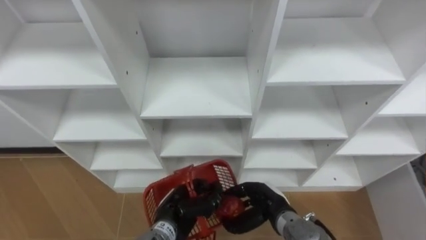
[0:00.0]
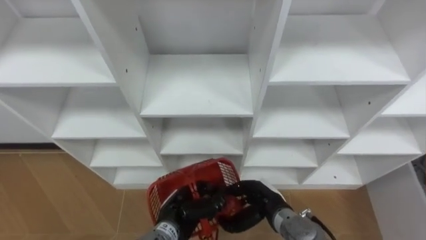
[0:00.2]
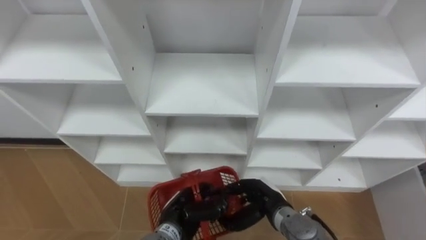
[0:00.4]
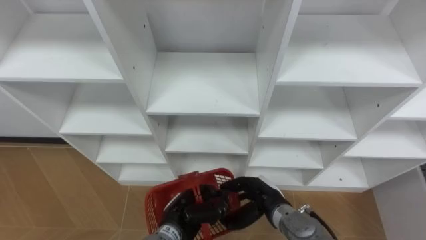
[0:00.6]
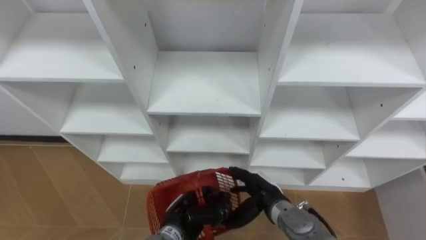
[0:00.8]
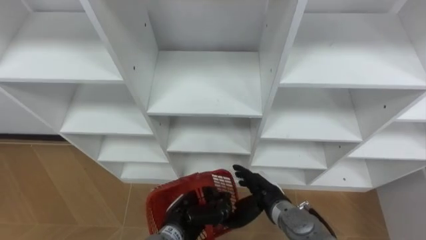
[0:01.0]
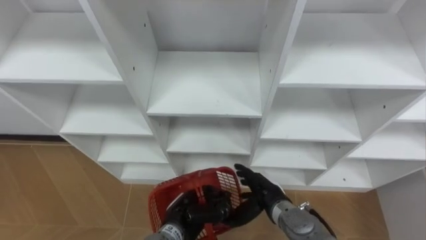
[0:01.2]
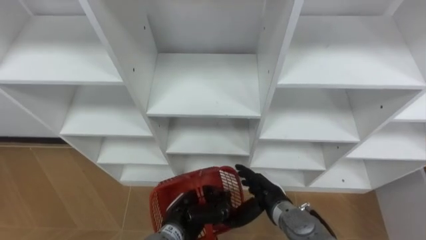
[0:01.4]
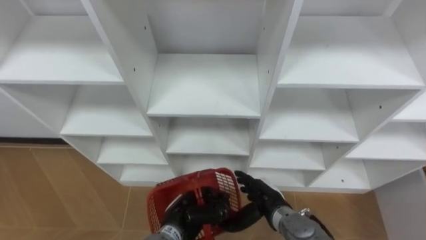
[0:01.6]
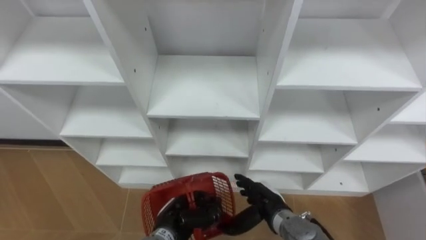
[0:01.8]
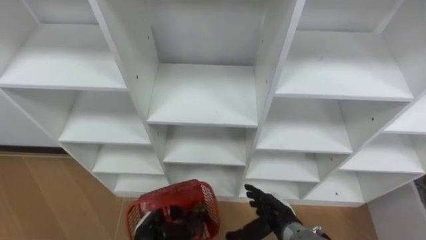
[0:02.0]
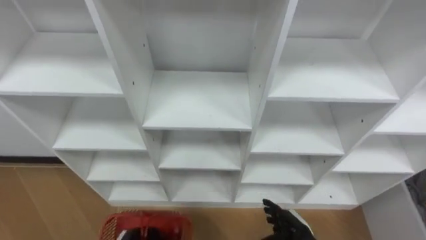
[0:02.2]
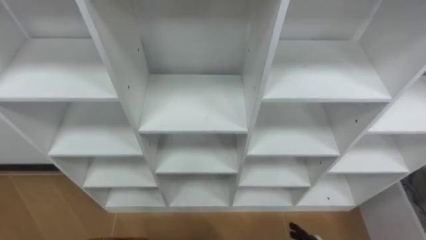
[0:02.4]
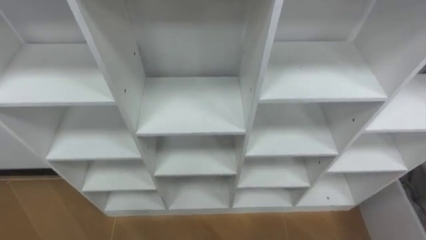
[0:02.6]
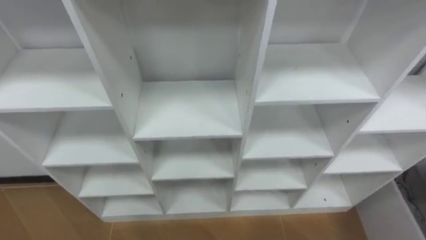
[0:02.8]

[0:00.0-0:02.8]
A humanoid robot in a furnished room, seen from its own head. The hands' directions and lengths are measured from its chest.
Task of the whole recording: Hold the basket and collect the fruits from 3 different cells of the closet into it.
0:00.0 to 0:01.4: The right hand opens.

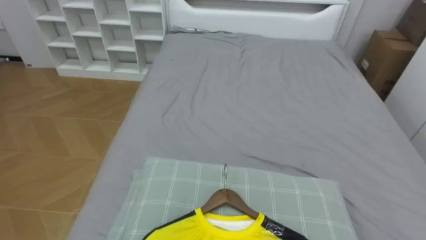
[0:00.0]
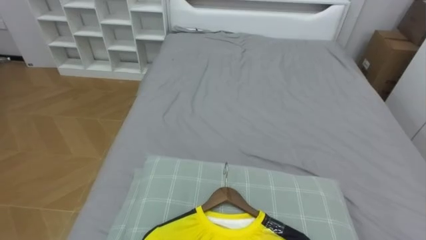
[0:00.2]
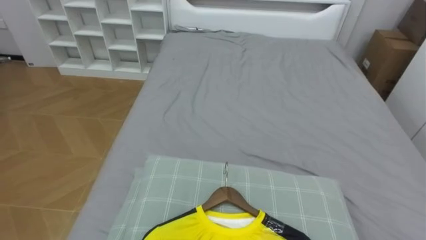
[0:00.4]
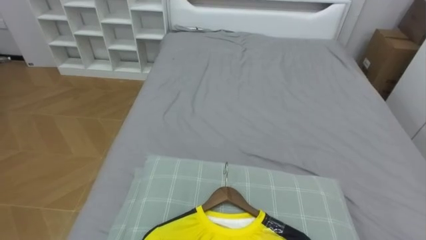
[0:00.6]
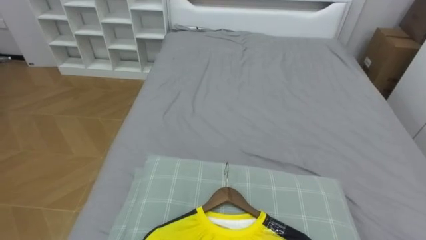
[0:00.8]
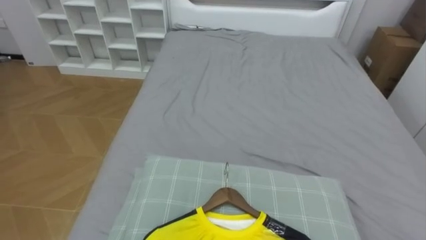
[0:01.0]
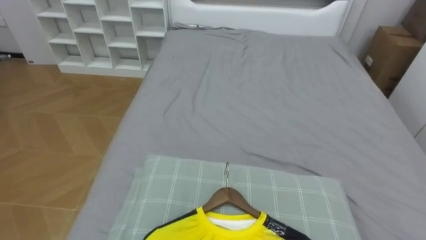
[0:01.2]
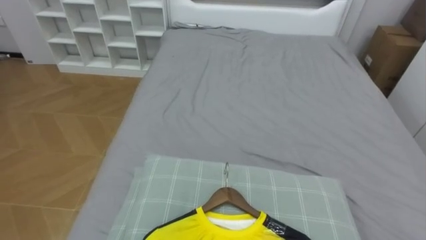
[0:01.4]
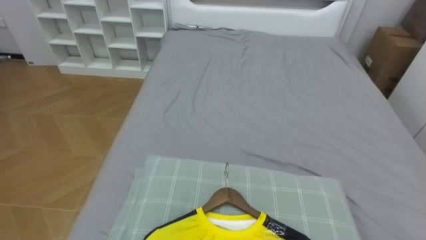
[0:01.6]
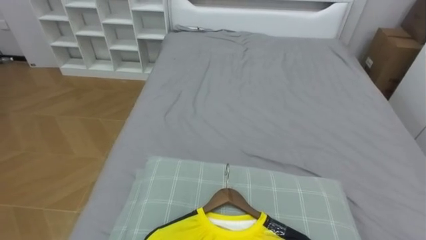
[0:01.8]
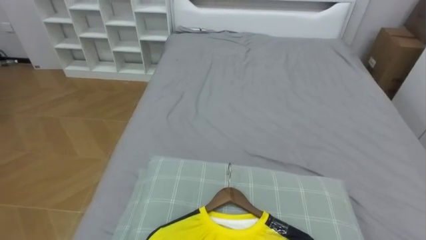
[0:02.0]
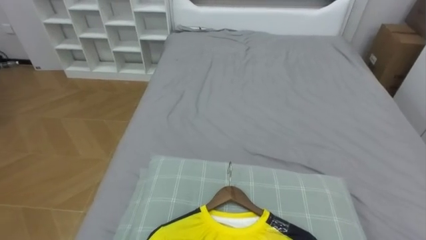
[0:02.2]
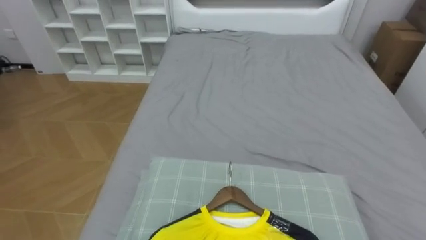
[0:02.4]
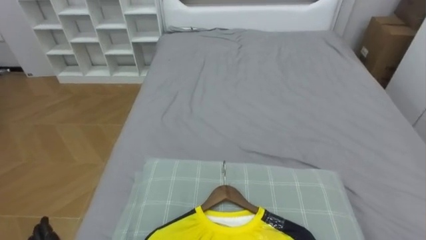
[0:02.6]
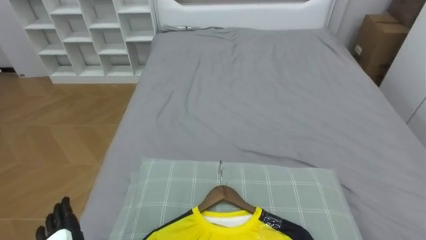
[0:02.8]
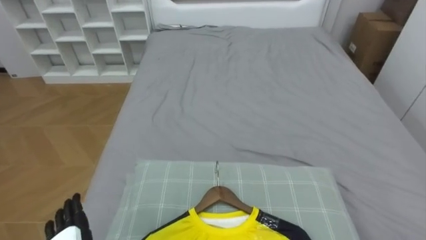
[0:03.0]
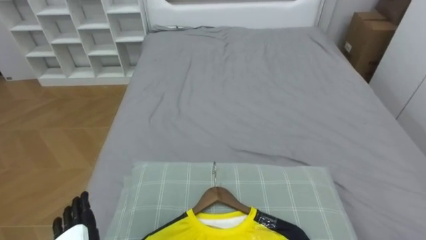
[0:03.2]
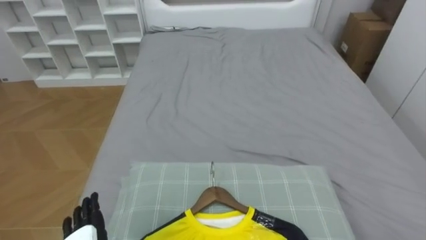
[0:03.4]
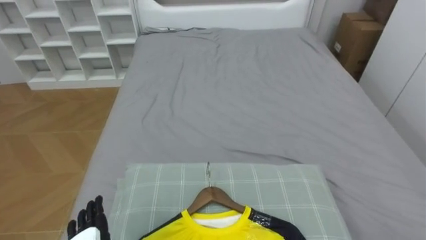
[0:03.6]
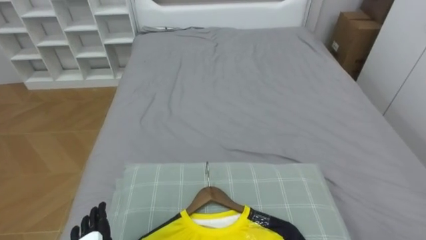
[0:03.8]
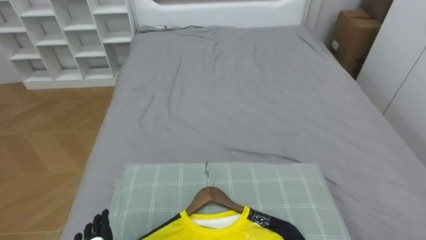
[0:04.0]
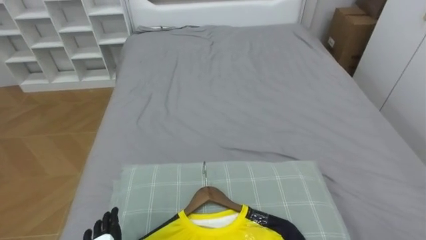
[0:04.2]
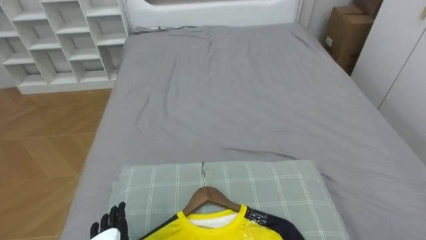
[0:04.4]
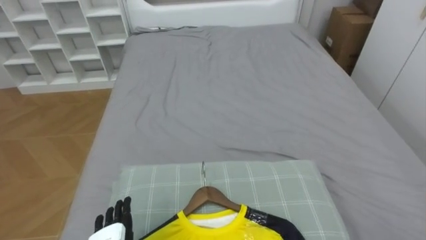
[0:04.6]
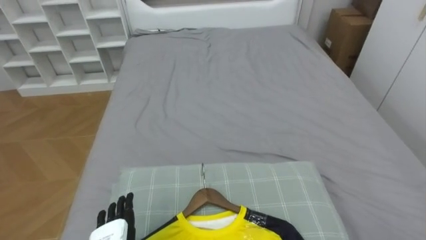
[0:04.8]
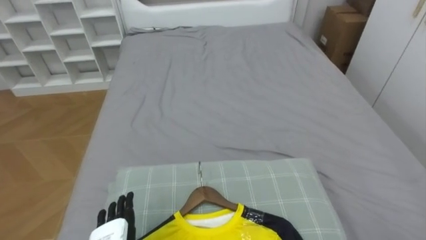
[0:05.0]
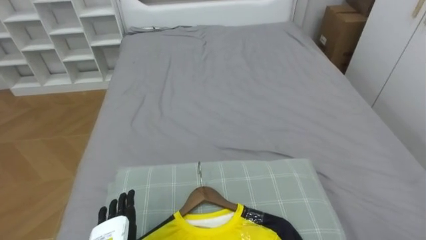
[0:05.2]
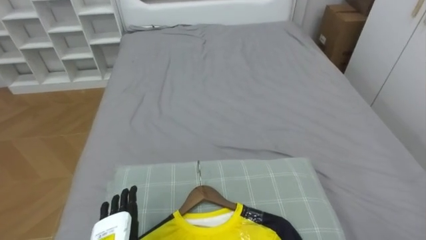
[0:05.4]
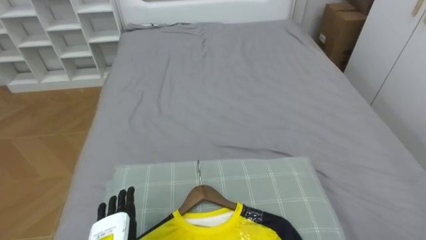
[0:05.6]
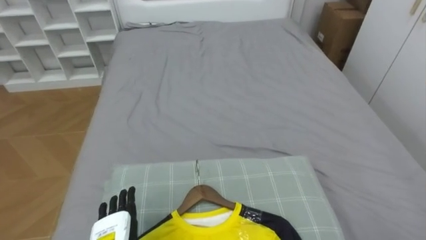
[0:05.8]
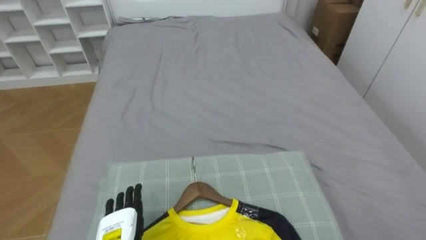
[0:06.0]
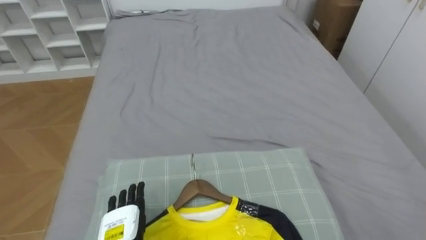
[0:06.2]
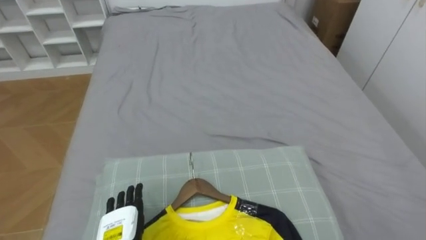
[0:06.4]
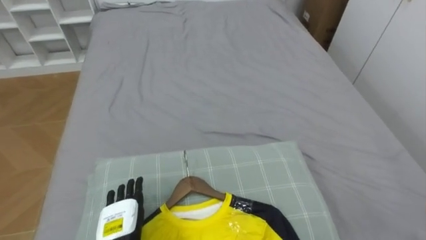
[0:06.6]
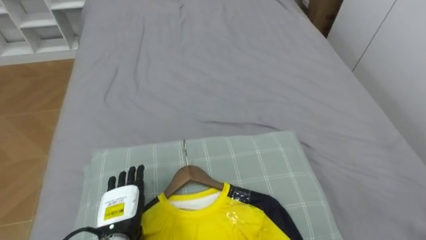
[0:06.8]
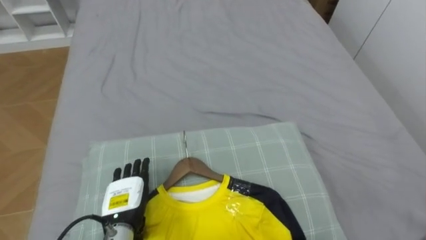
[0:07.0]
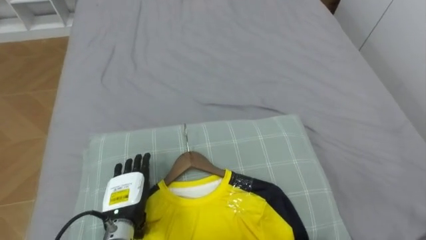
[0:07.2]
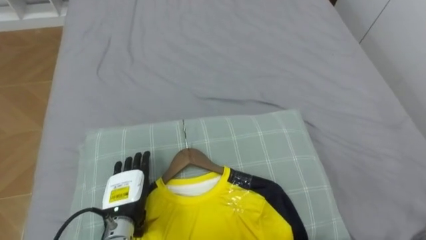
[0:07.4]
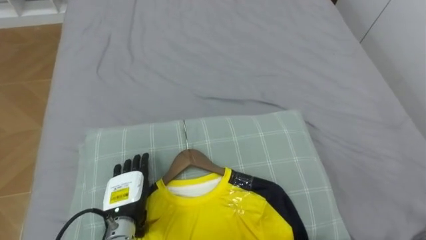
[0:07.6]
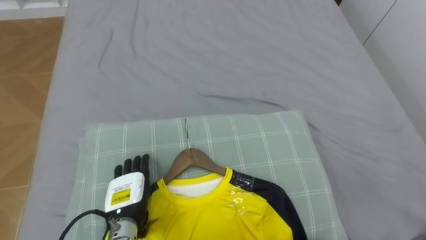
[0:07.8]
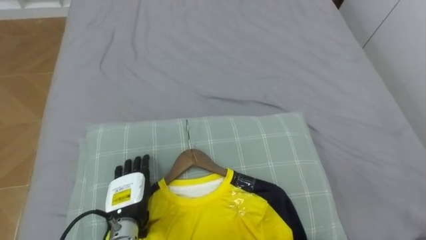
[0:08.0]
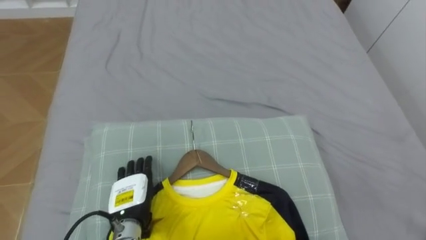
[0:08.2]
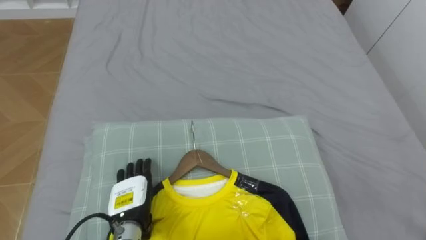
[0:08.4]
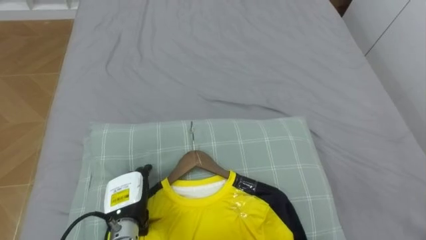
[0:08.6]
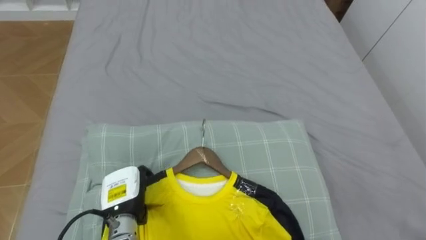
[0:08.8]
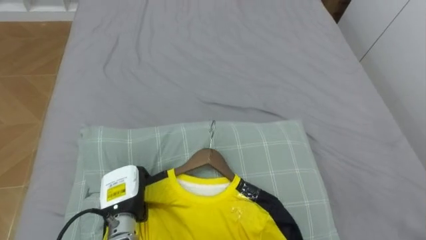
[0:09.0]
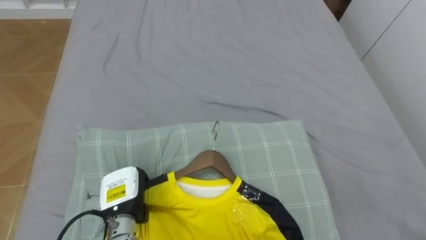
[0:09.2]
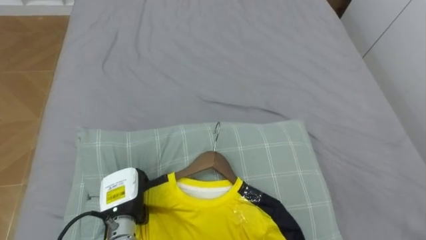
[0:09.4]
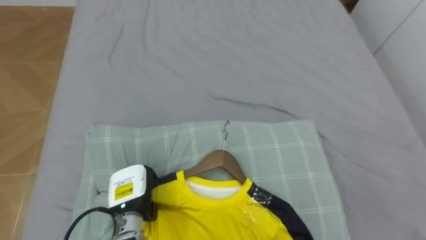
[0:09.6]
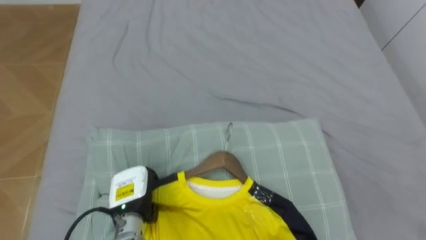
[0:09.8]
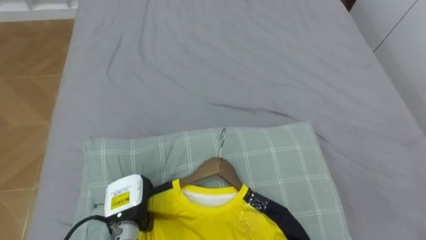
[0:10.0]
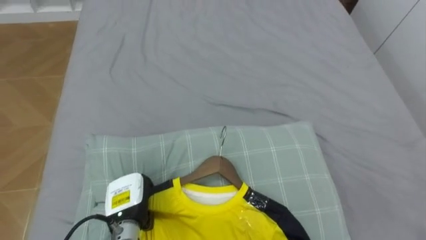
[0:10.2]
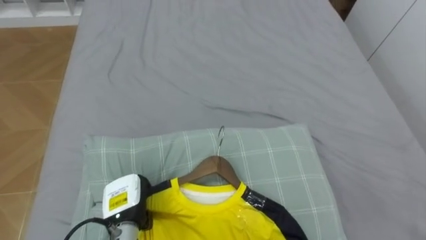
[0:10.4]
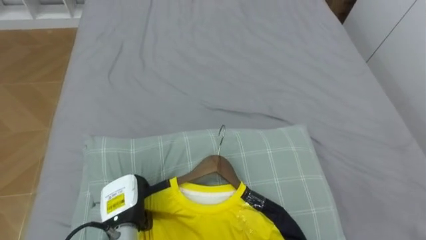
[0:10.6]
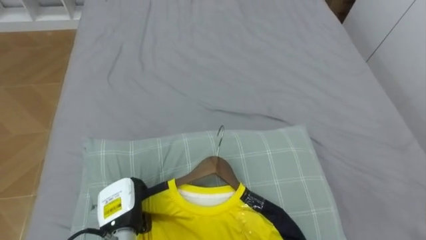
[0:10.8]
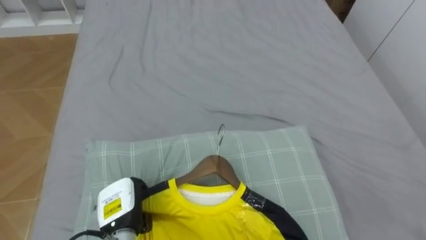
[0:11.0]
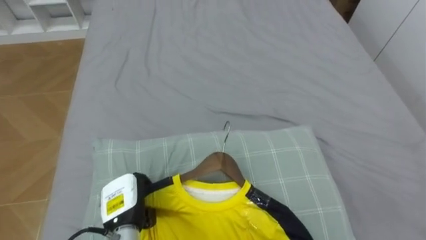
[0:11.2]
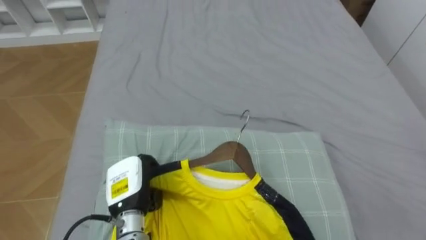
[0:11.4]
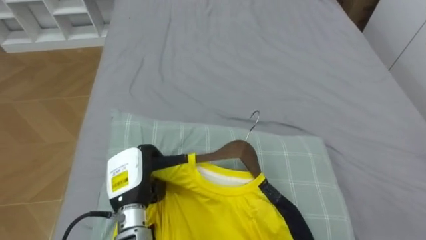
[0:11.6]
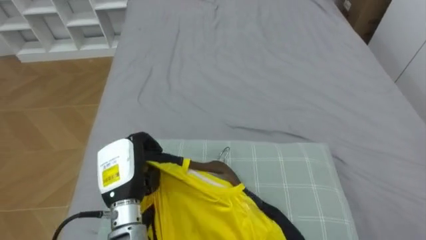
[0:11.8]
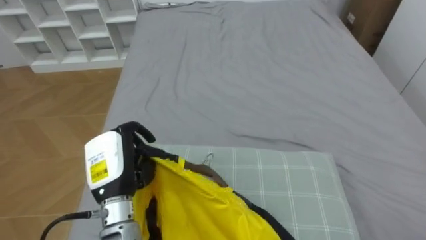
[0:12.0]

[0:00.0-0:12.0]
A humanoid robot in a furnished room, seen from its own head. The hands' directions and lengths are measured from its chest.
Task of the whole recording: Pick up the yellow shirt on the bed and hang it on the clothes rack on the right.
0:07.6 to 0:09.0: The left hand closes.
0:10.4 to 0:12.0: The left hand heads upward, covering approximately 10 cm.

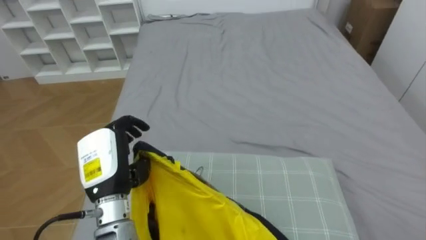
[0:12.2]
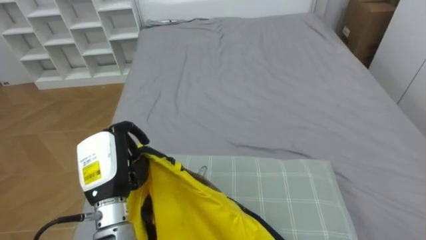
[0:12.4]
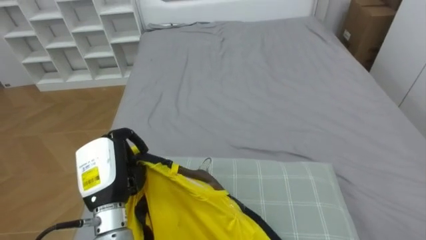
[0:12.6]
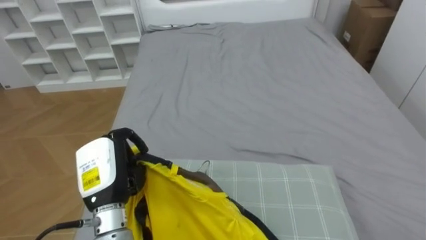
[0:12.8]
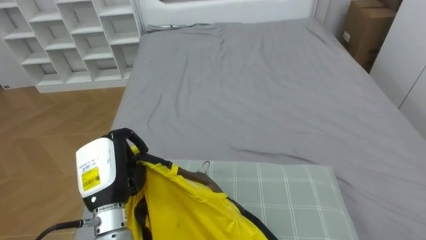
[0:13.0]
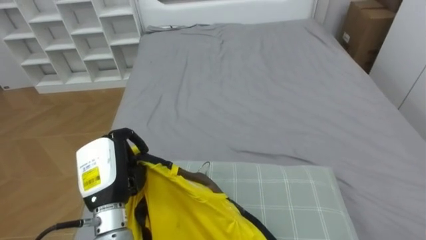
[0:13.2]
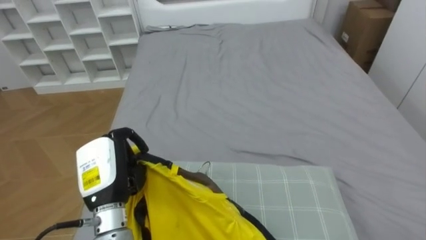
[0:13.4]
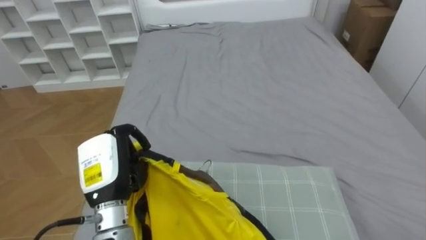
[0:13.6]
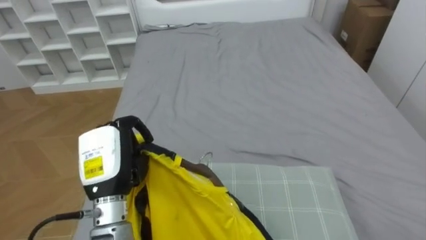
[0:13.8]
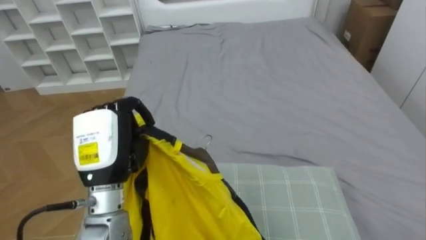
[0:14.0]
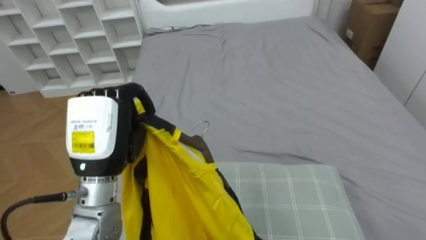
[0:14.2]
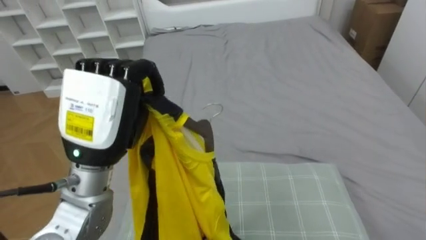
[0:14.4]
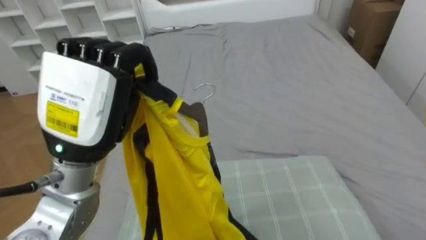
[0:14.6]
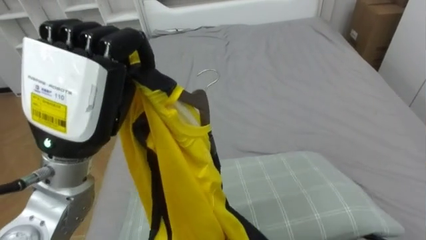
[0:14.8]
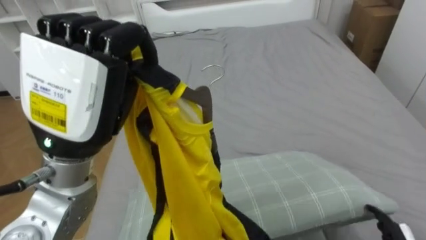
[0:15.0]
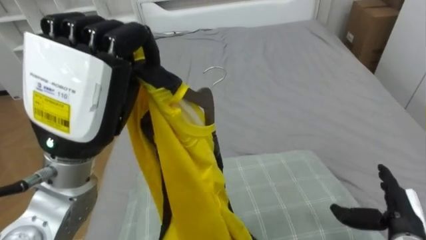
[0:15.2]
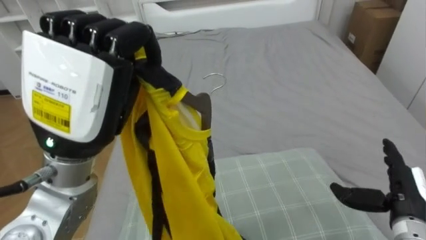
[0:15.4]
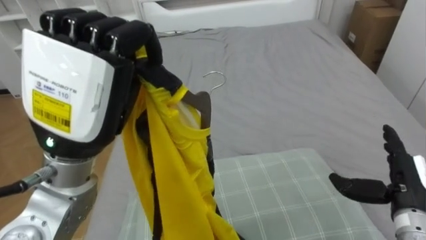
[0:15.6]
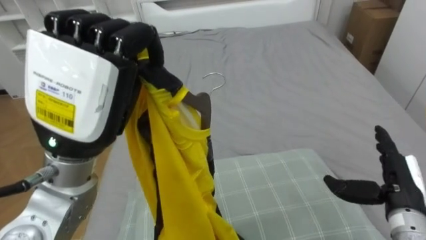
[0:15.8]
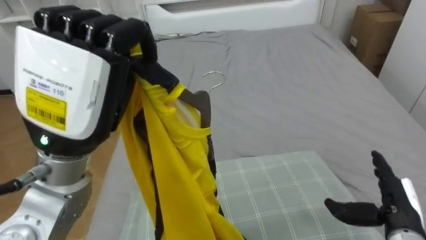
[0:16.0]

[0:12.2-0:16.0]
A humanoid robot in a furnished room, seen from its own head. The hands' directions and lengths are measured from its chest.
Task of the whole recording: Pick up the yellow shirt on the bed and hang it on the clothes rack on the right.
0:13.4 to 0:14.8: The left hand moves upward, approximately 20 cm.
